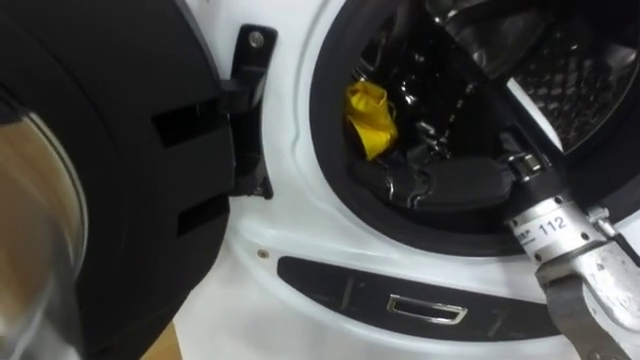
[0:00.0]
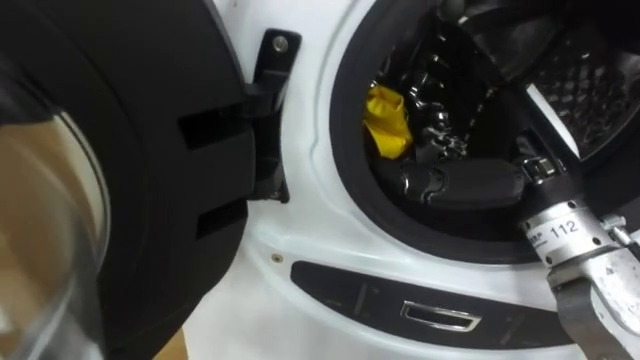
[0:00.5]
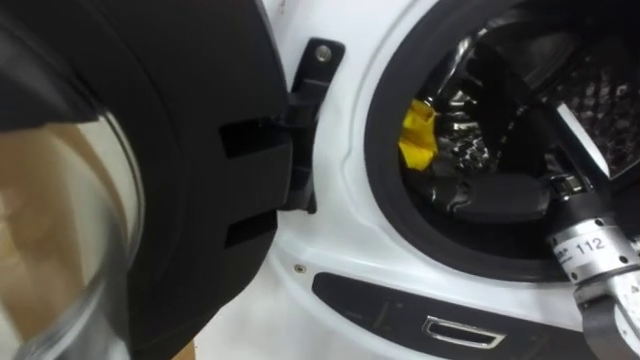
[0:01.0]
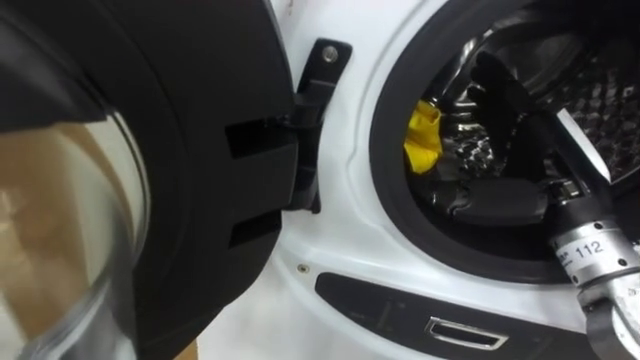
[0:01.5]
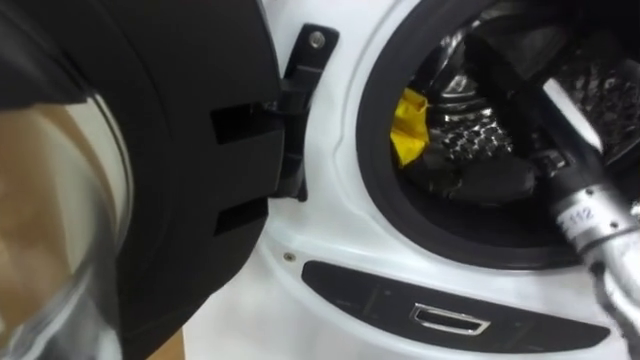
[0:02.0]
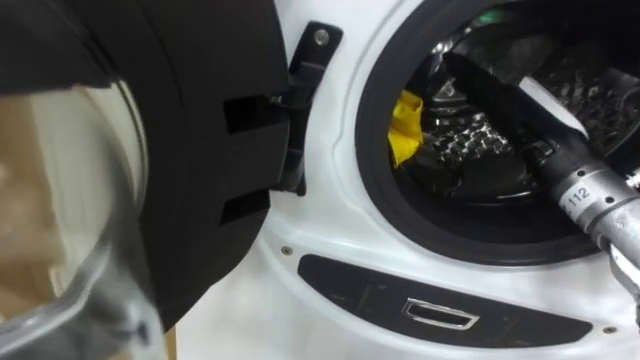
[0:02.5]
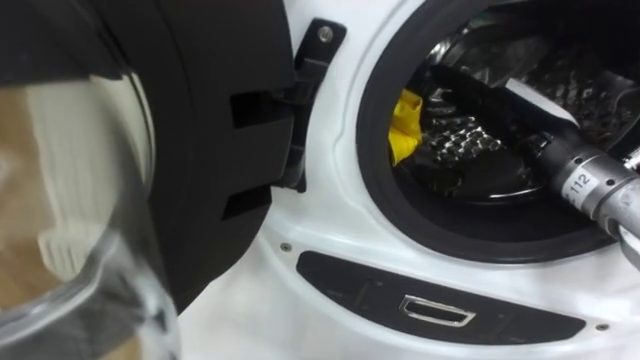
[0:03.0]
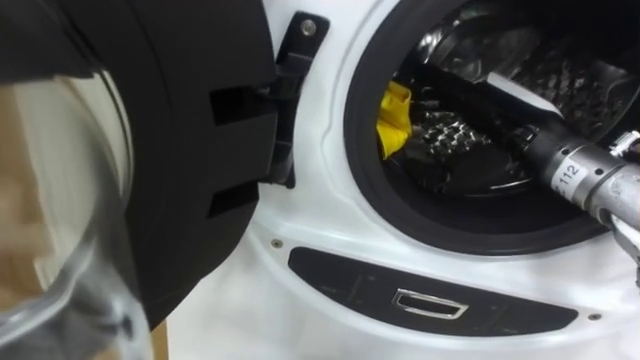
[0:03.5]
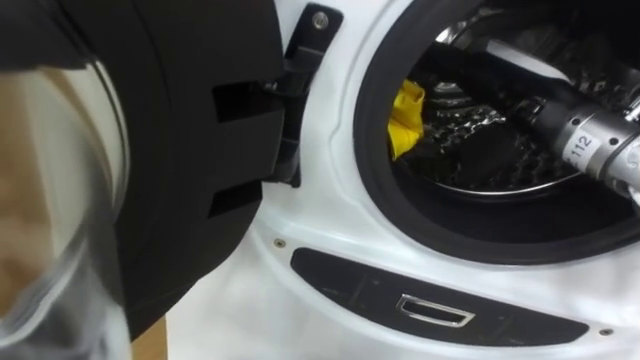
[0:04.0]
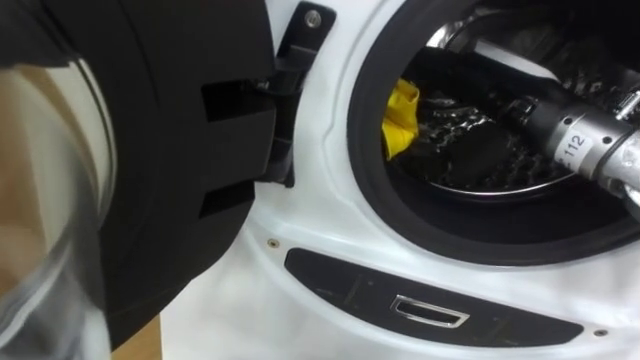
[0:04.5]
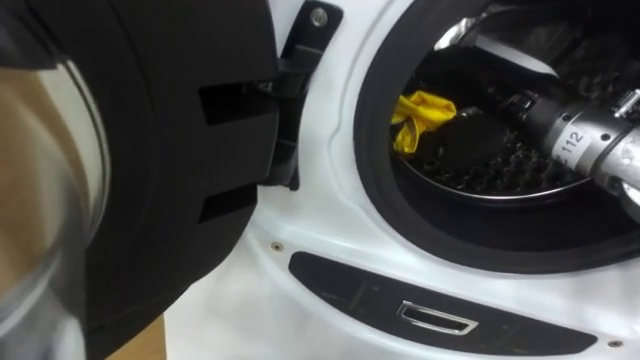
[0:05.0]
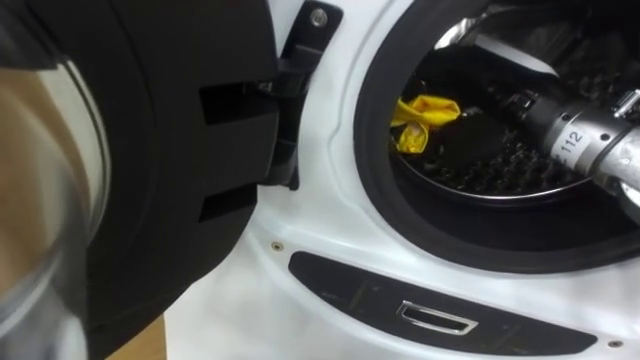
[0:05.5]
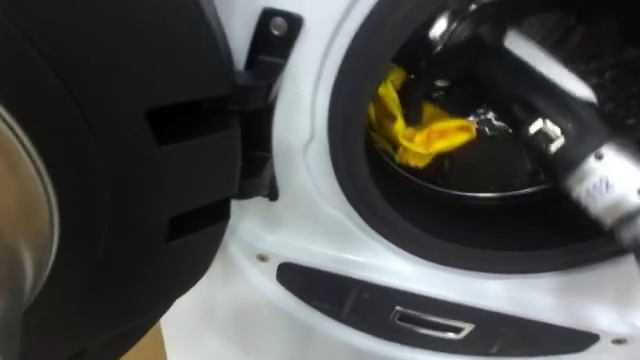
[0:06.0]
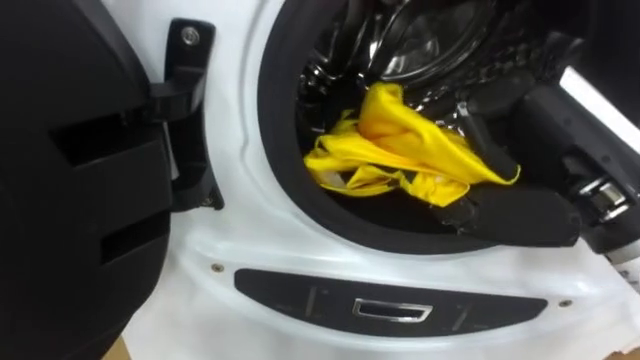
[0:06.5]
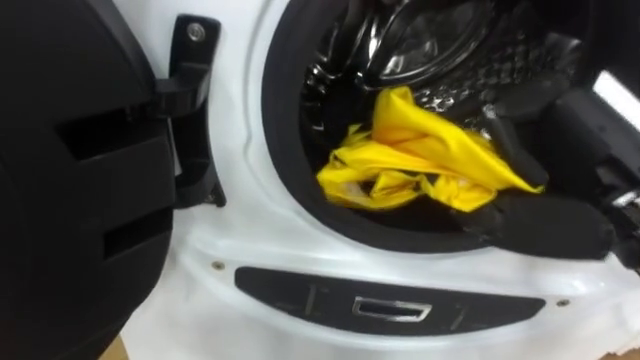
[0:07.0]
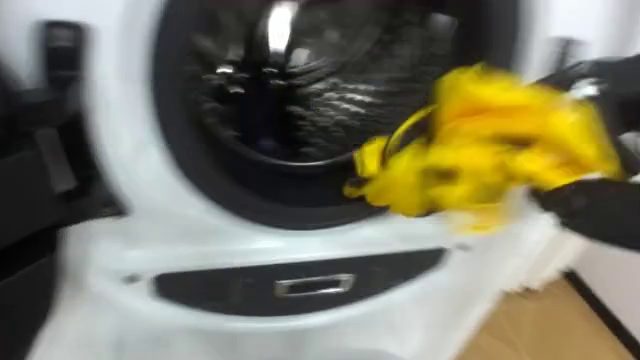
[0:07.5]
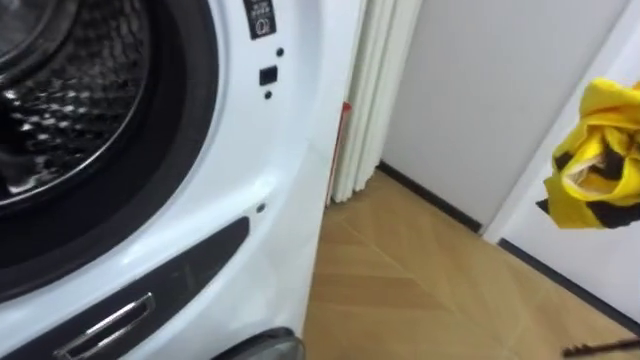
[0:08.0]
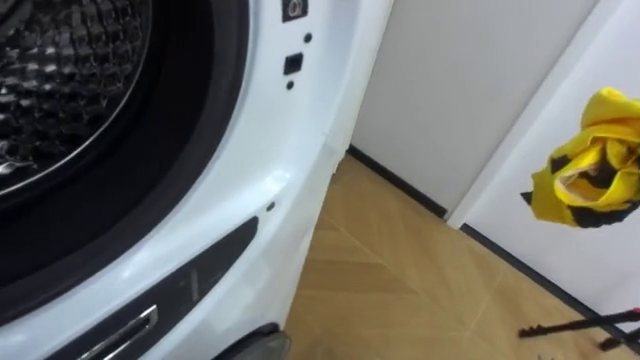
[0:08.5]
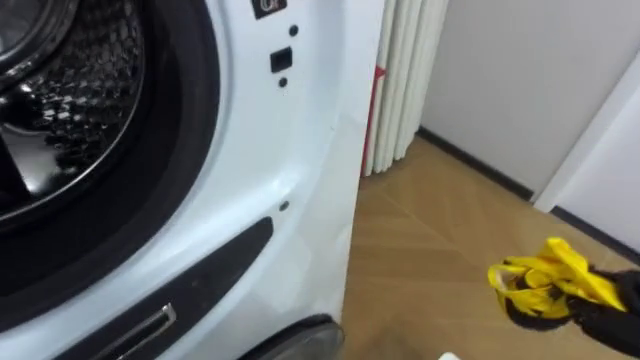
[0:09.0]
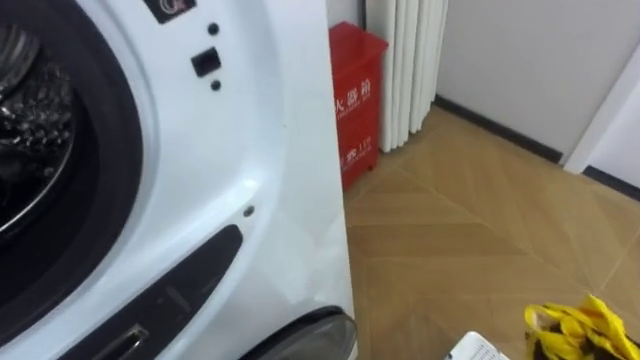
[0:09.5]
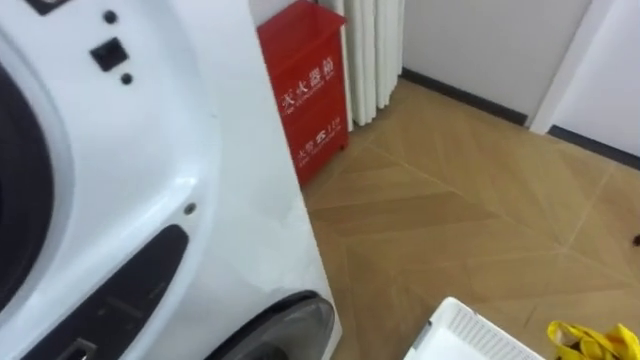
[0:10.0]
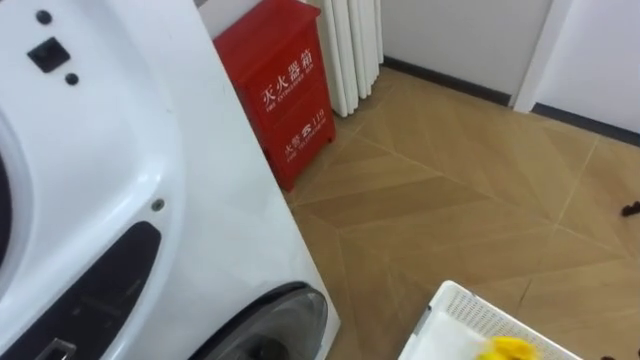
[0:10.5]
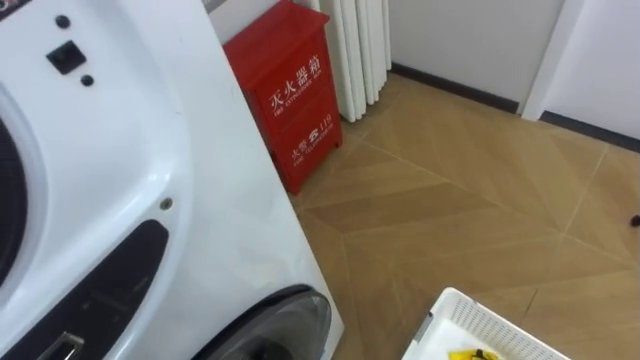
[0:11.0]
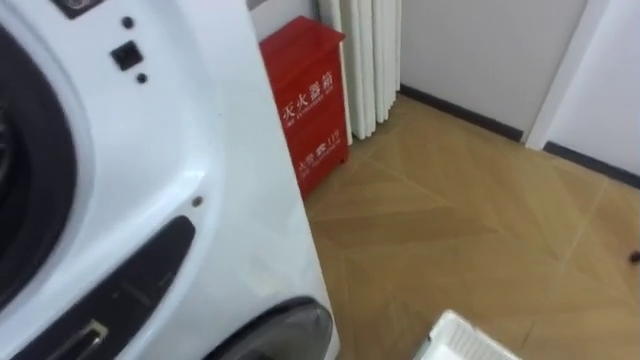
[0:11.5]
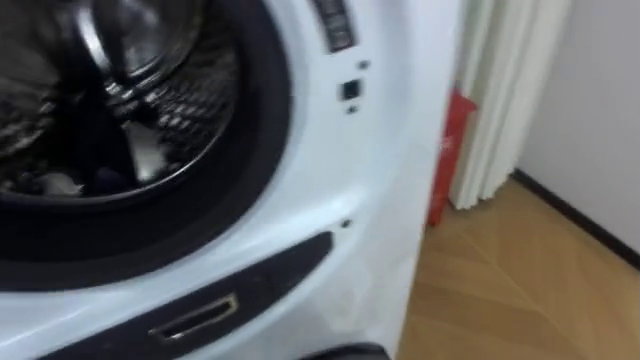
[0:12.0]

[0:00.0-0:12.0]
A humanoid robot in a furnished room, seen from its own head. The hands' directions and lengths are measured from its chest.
Task of the whole recording: Open the washing machine door, take out the yellow clothes, place them in the box on the right, and close the washing machine door.
0:00.0 to 0:02.0: The right hand goes roughly 5 cm to the right.
0:02.0 to 0:04.0: The right hand moves roughly 5 cm.
0:04.0 to 0:06.0: The right hand goes about 5 cm backward, and closes its fingers.
0:10.0 to 0:12.0: The robot rotates some 15 degrees to its left.

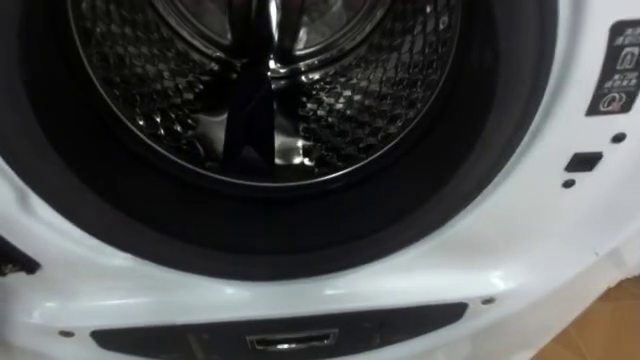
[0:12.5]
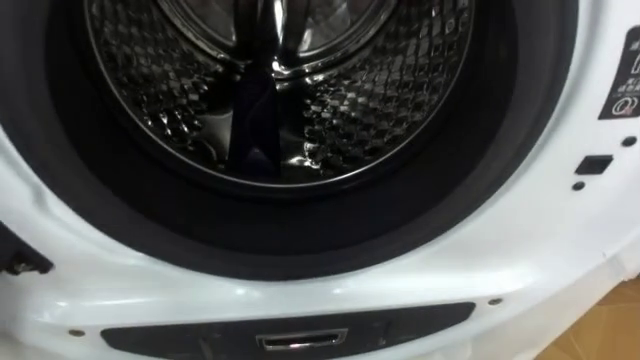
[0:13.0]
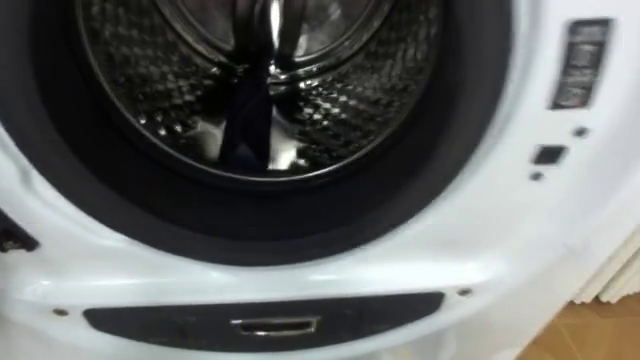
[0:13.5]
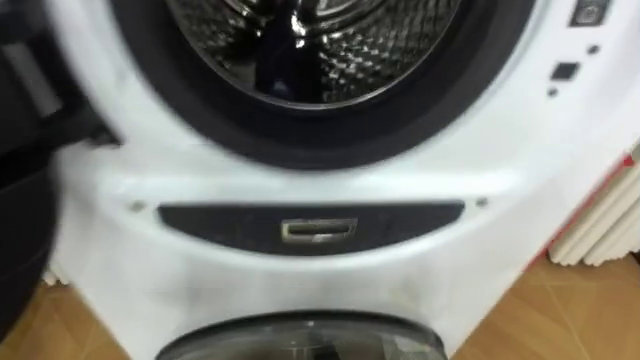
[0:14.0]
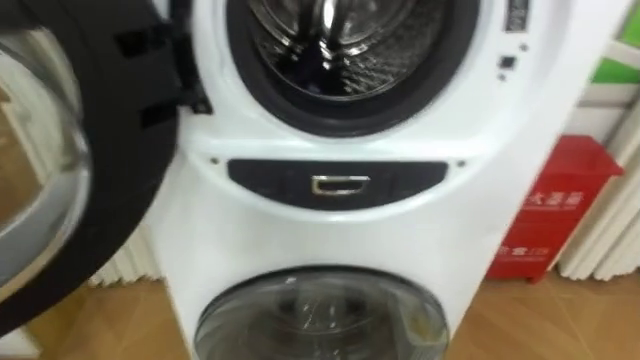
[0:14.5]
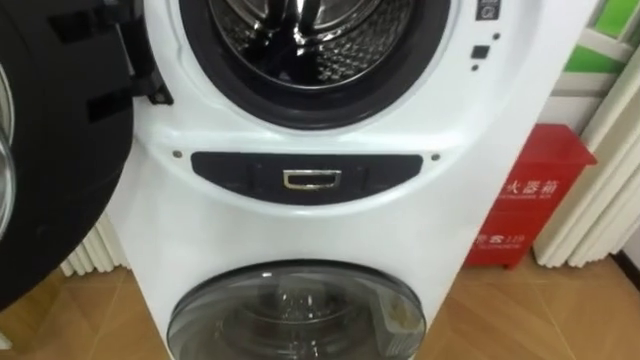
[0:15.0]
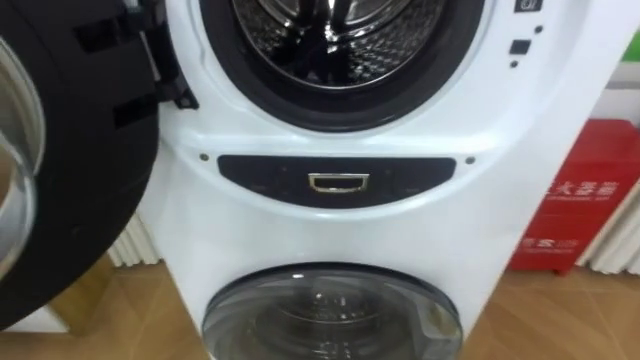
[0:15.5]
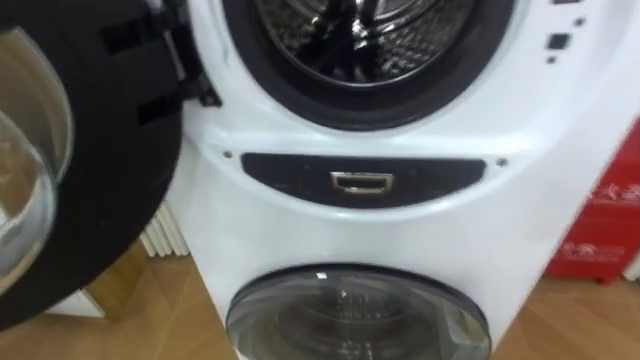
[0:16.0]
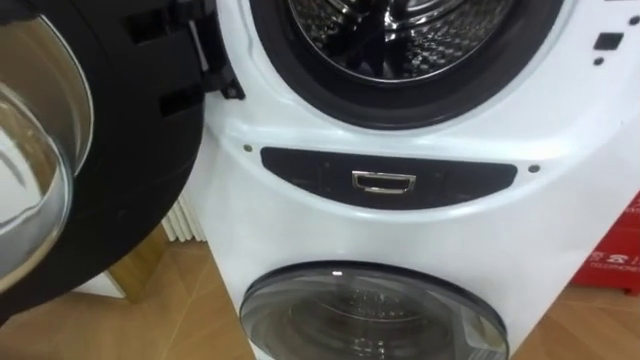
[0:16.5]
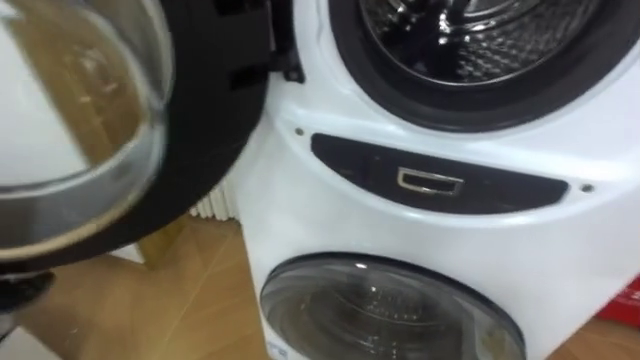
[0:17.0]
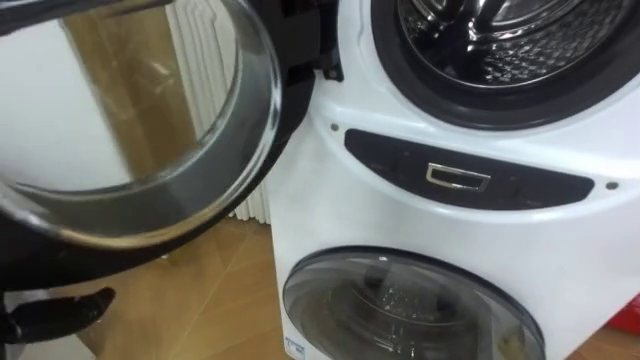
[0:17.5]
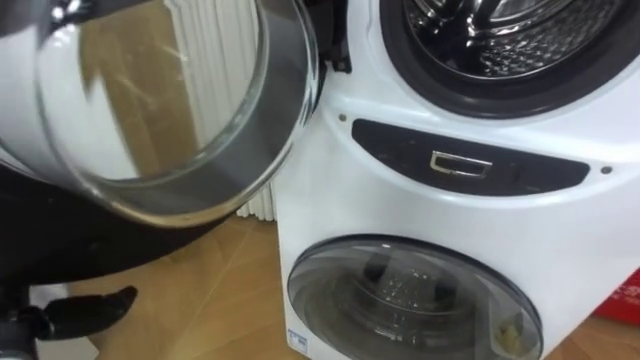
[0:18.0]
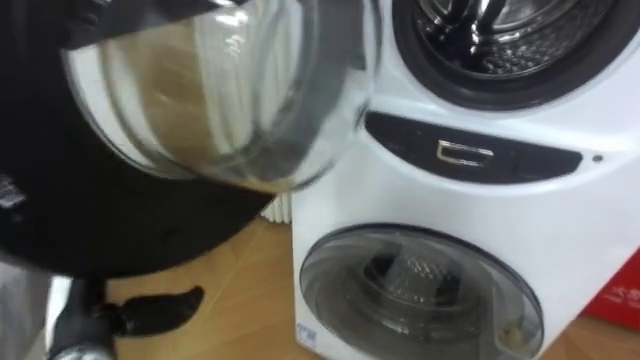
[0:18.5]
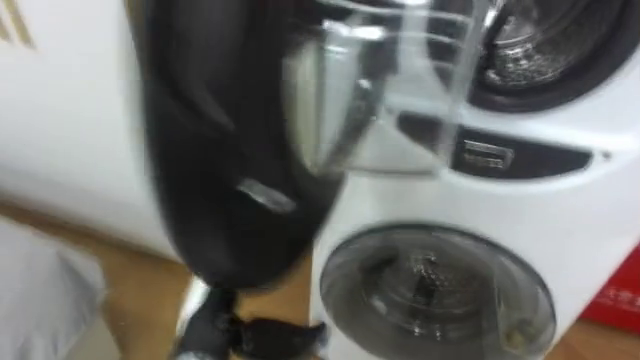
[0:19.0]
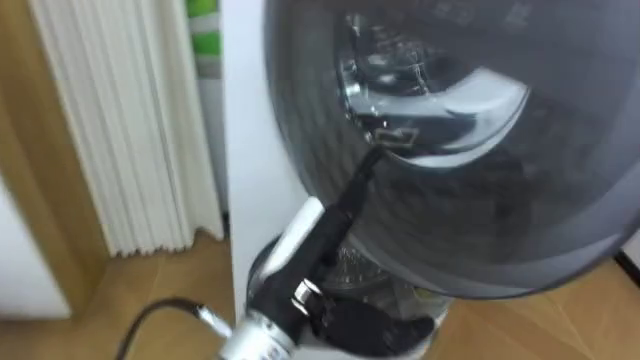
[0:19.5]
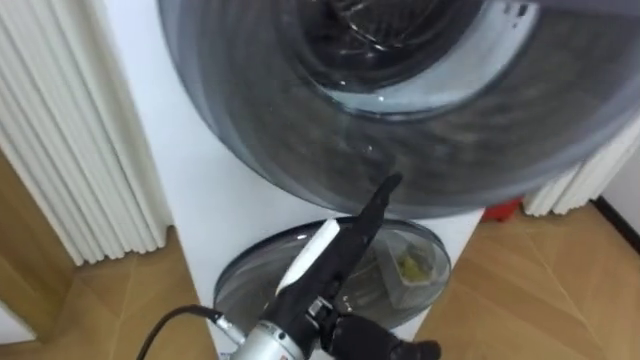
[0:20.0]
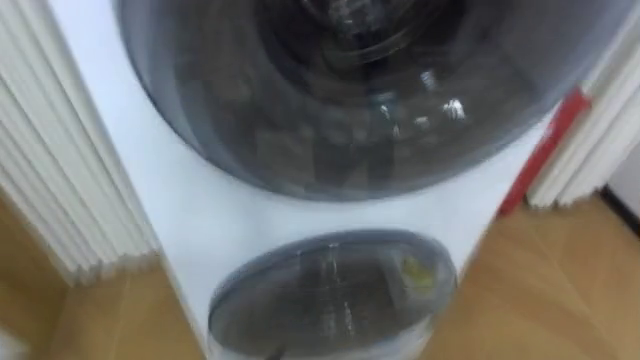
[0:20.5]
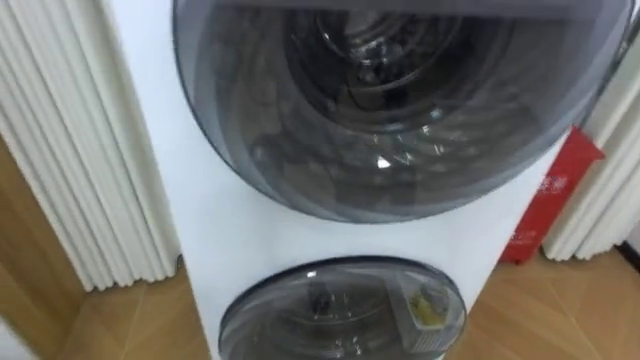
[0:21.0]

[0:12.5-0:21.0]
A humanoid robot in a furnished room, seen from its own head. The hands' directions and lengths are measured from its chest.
Task of the whole recording: Open the washing machine door, take out the yellow clothes, place them in the box on the right, and close the washing machine door.
0:19.0 to 0:21.0: The robot's body swings about 25 degrees to its right.
